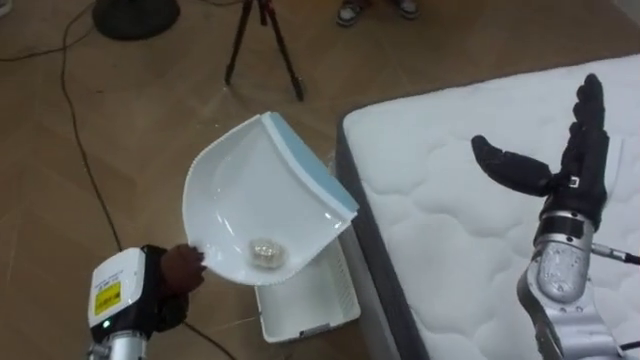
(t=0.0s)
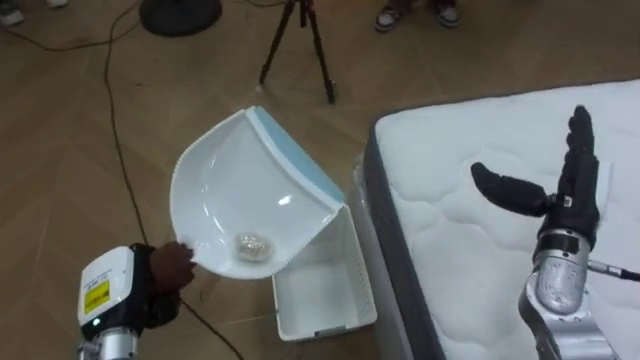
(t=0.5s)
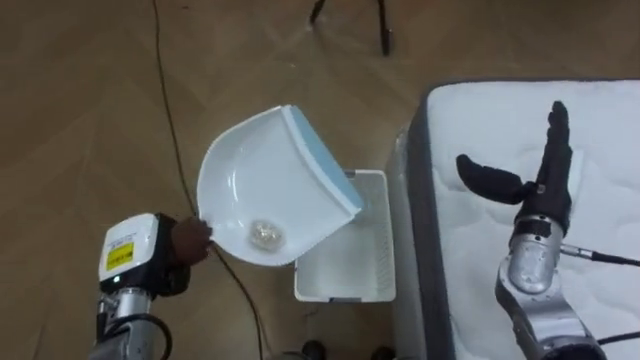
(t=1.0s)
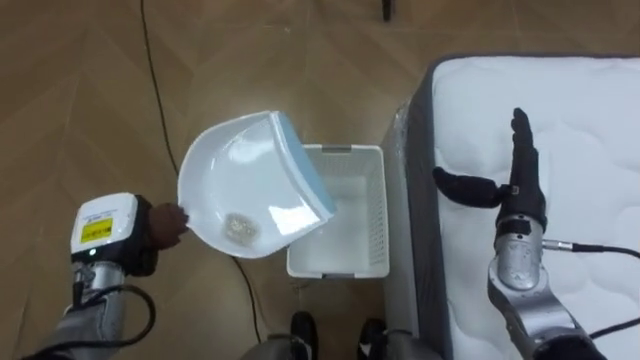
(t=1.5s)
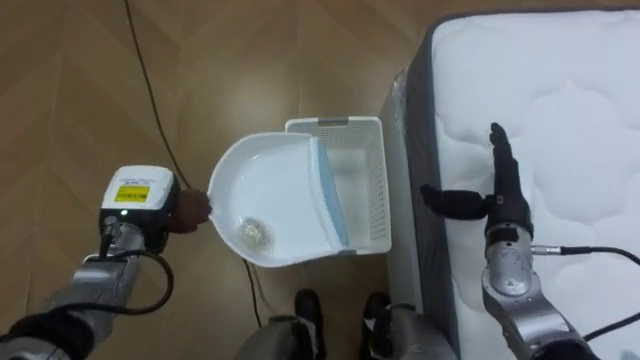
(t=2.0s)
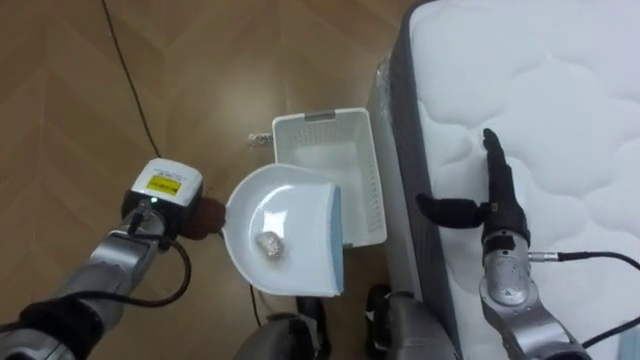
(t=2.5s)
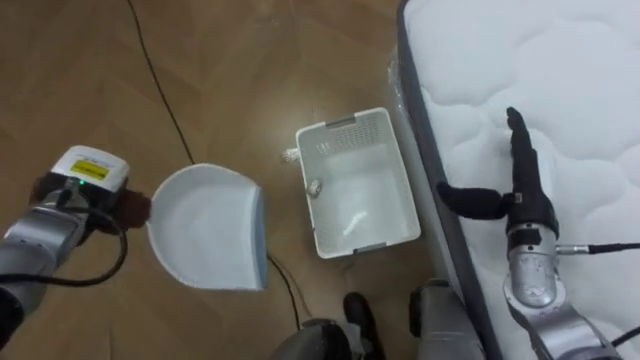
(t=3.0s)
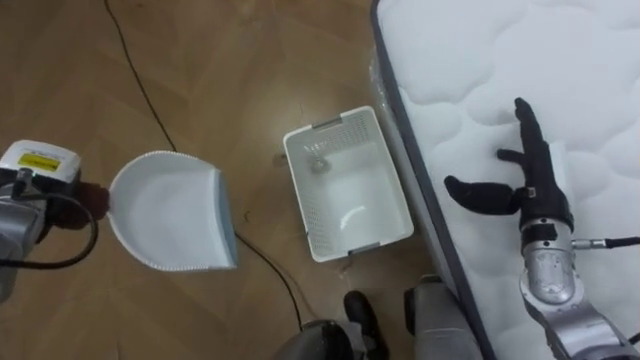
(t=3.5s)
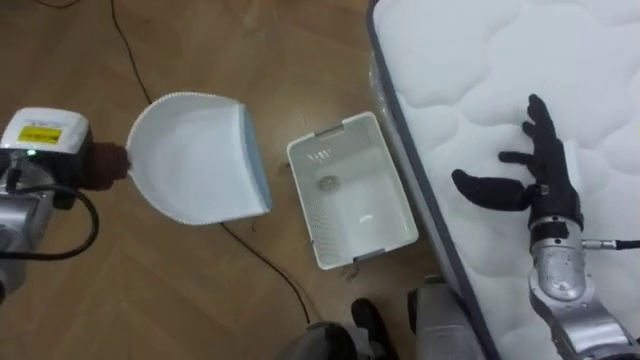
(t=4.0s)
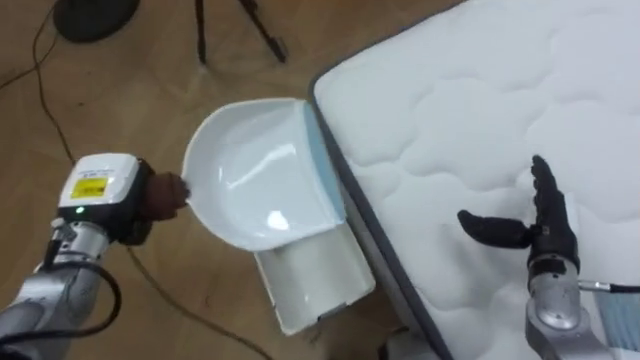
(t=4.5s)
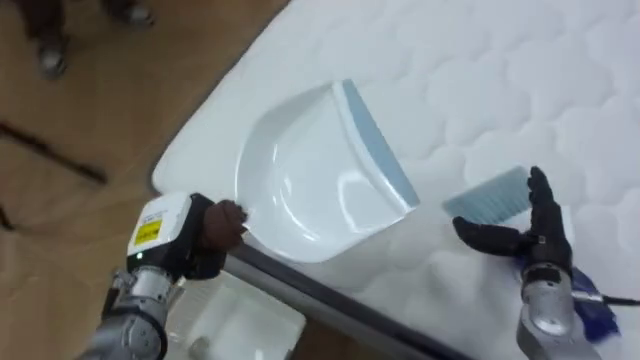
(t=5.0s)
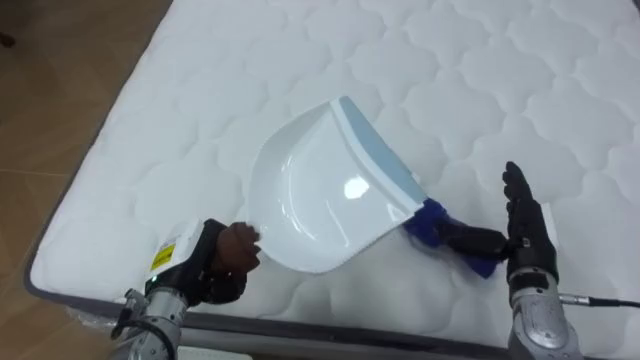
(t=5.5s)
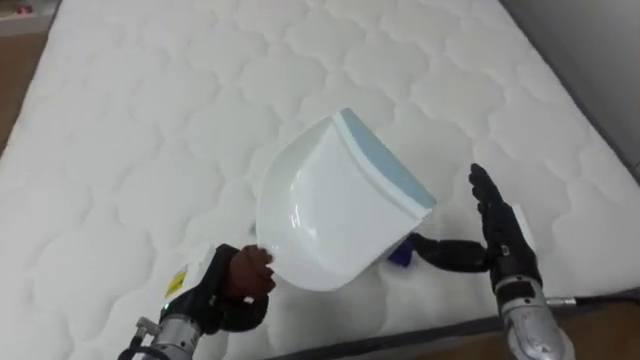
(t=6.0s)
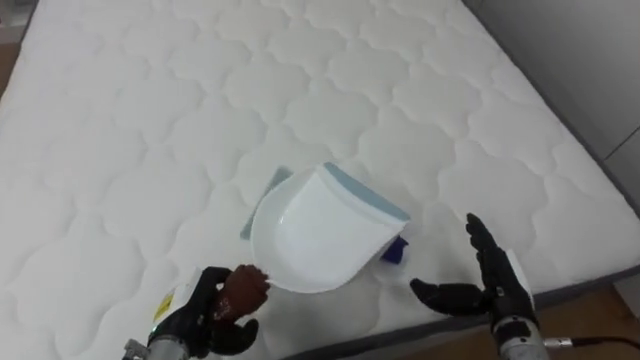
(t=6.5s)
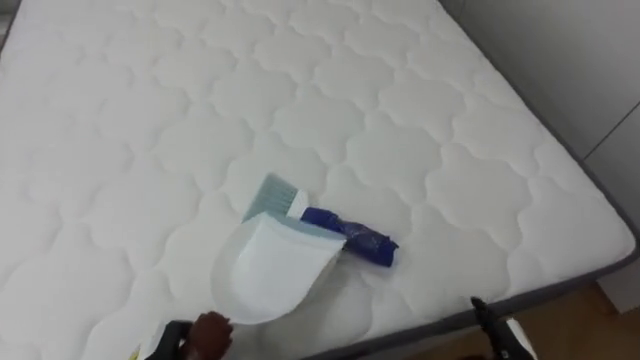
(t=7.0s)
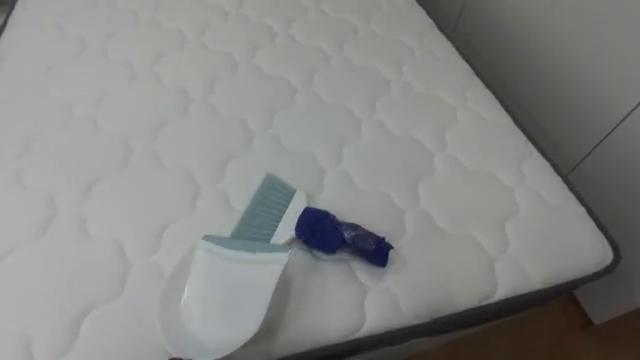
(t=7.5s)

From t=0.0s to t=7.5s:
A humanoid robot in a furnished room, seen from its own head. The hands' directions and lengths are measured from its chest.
Task of the whole recording: Pick up the brush on your right and the dustpan on your left. Use the brush to sweep the crumpled paper on the bed into the dustpan, then turn left and empty it into the basket.
From t=0.0s to t=2.0s: The left hand heads forward, covering some 10 cm; the right hand heads downward, covering about 5 cm.
From t=2.0s to t=4.0s: The left hand heads to the left and upward, covering some 10 cm, while the right hand ends up roughly 5 cm from where it was.
From t=4.0s to t=5.5s: The robot's body swings approximately 80 degrees to its right. The right hand travels downward by approximately 5 cm; the left hand travels to the right, downward and backward by approximately 20 cm.
From t=5.5s to t=7.5s: The robot rotates approximately 25 degrees to its right.

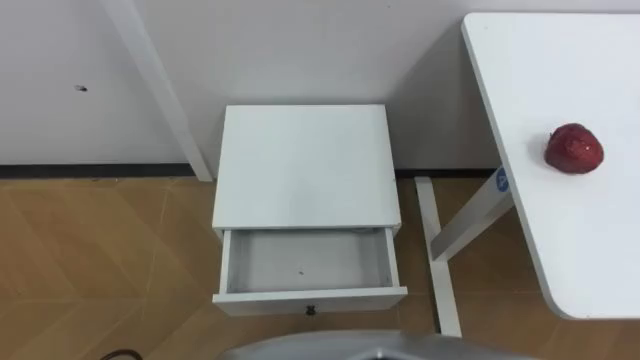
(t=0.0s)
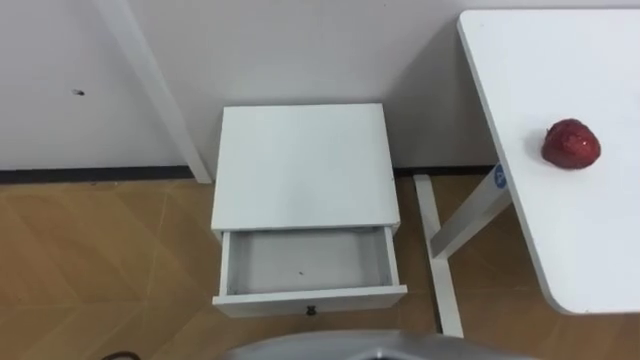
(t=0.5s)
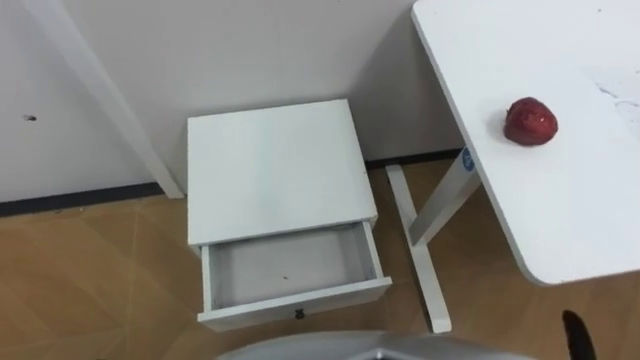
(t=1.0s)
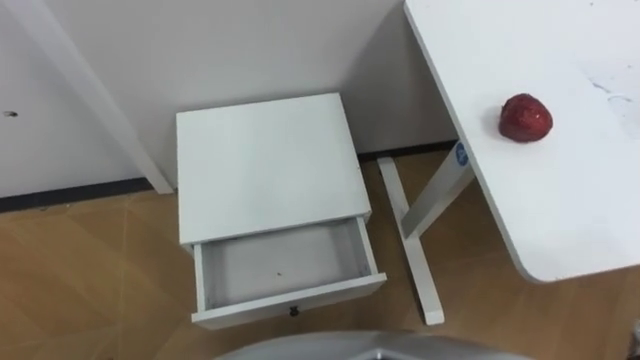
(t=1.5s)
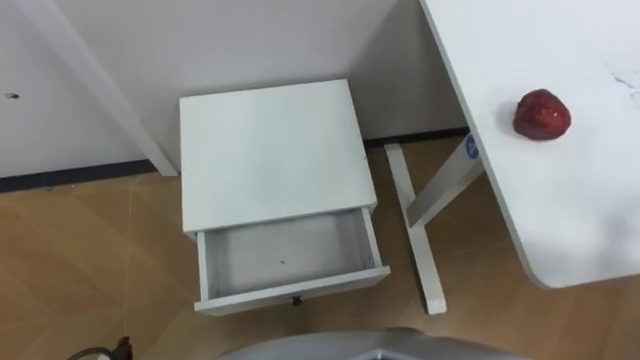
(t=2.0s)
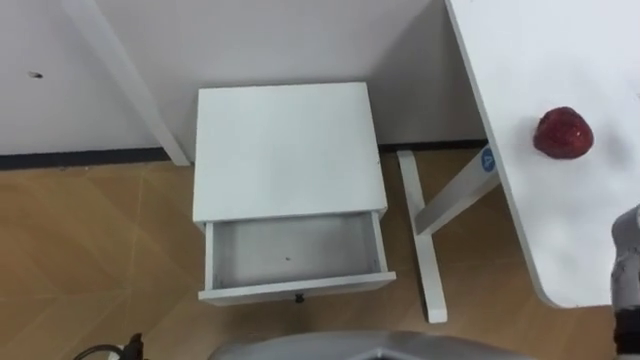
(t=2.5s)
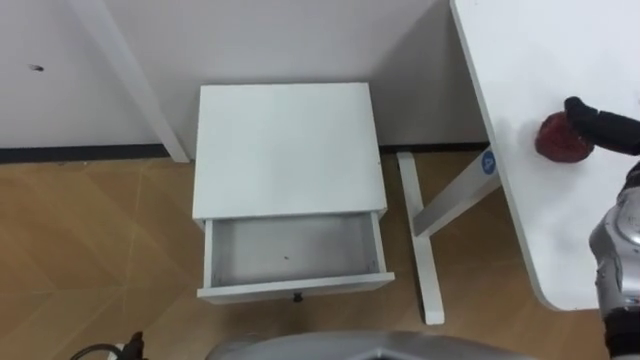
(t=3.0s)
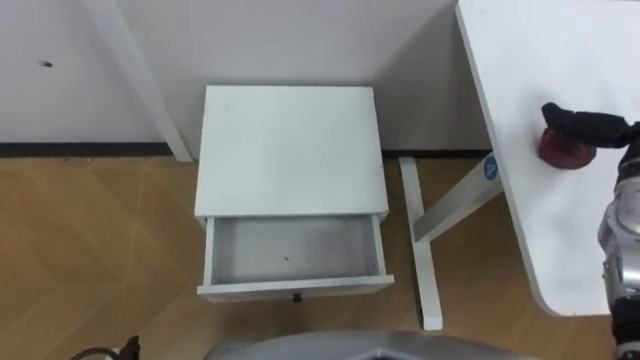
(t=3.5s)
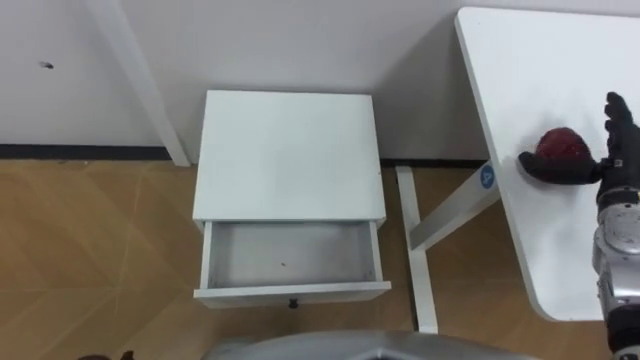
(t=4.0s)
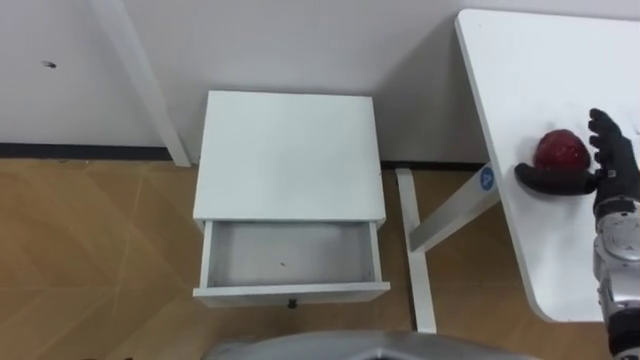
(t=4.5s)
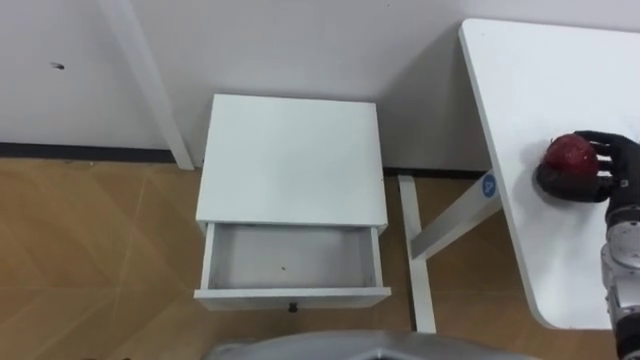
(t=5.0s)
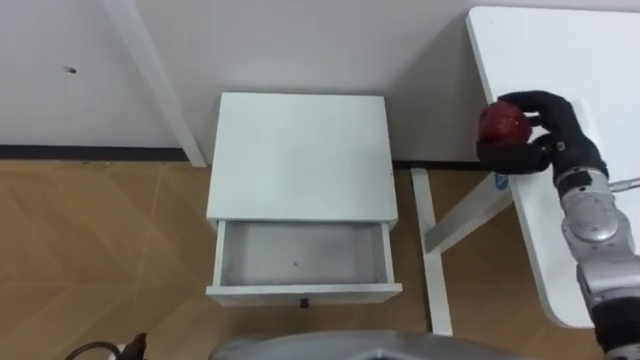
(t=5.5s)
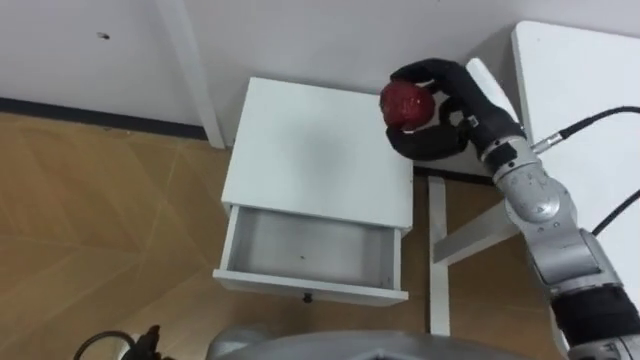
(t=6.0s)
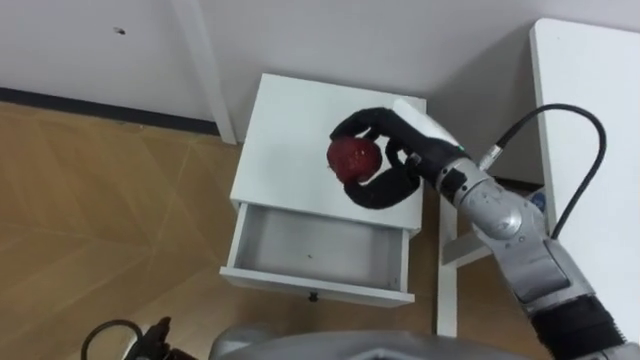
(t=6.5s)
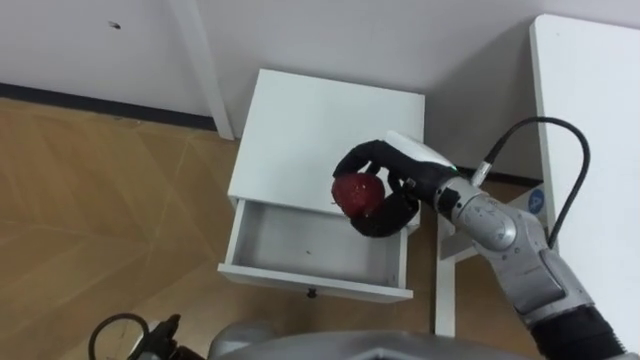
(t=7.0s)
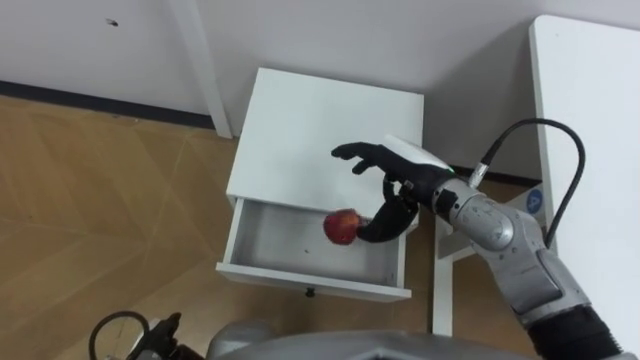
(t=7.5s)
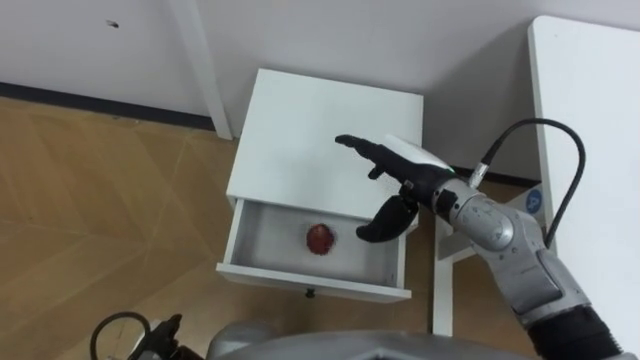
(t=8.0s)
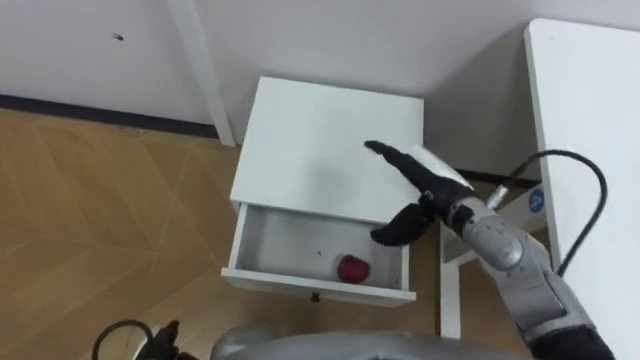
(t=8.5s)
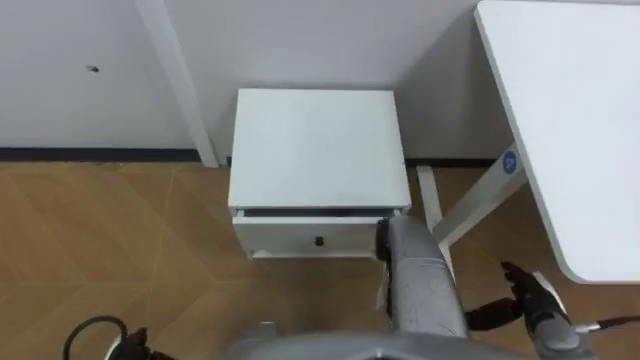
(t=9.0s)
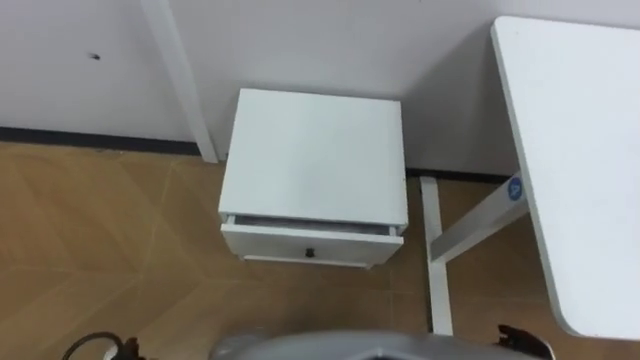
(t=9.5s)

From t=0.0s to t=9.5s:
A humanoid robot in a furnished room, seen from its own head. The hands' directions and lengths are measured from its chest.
Task of the whole recording: Pick up the apple from the table, put it in the drawer, and close the drawer with leg.
From t=4.0s to t=5.5s: The right hand moves to the left, roughly 5 cm, and closes its fingers.
From t=5.5s to t=7.5s: The right hand goes roughly 20 cm to the left.
From t=7.5s to t=9.5s: The right hand goes some 35 cm backward, downward and to the right.

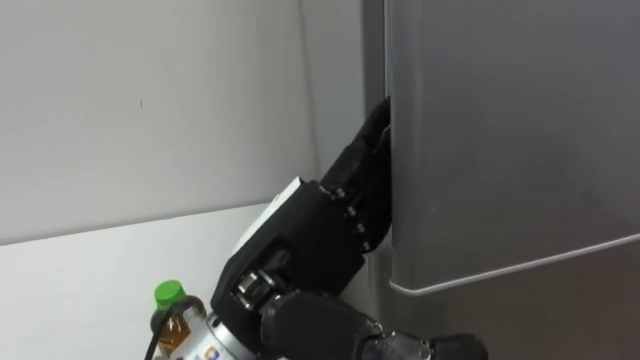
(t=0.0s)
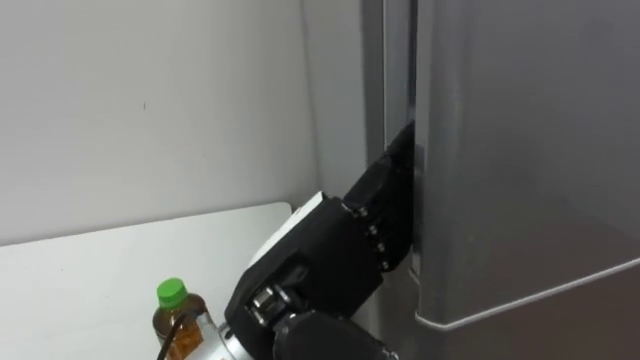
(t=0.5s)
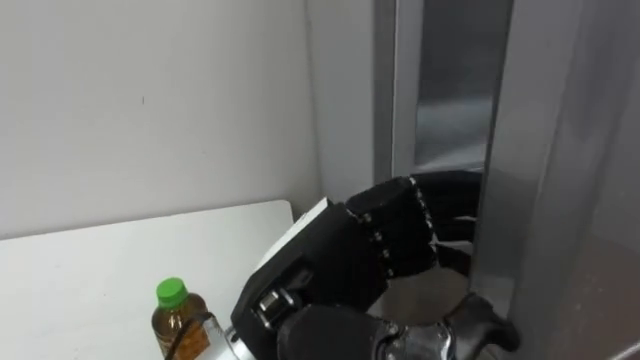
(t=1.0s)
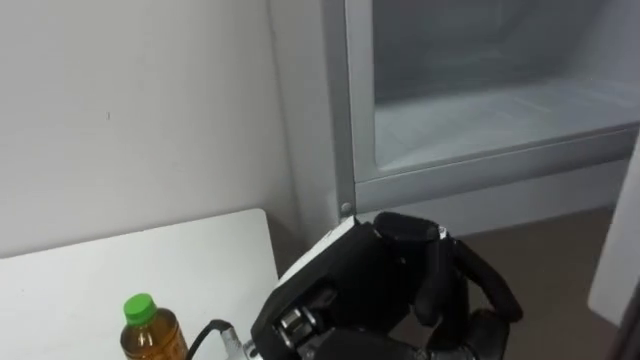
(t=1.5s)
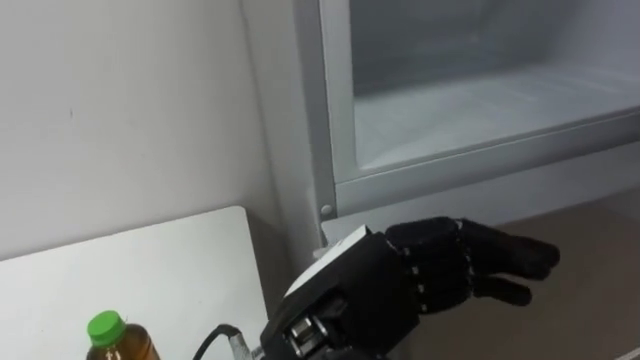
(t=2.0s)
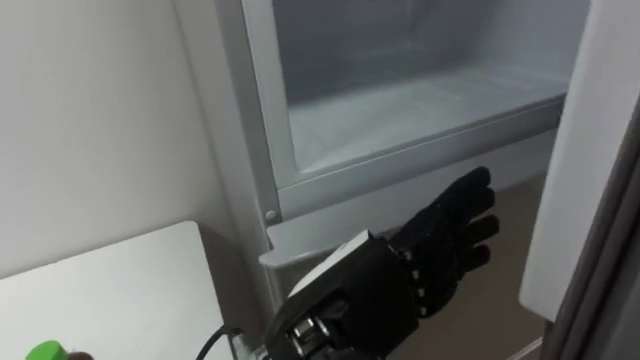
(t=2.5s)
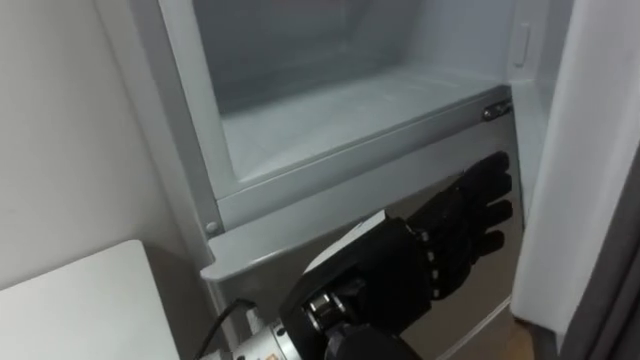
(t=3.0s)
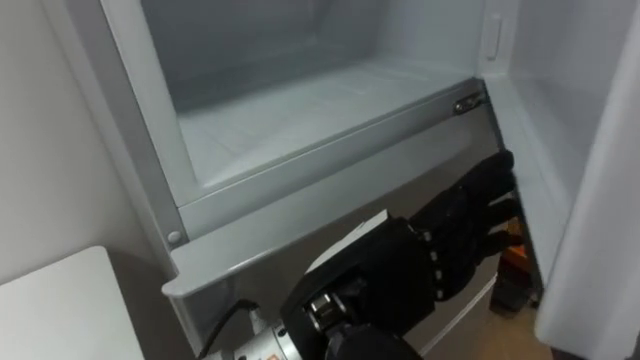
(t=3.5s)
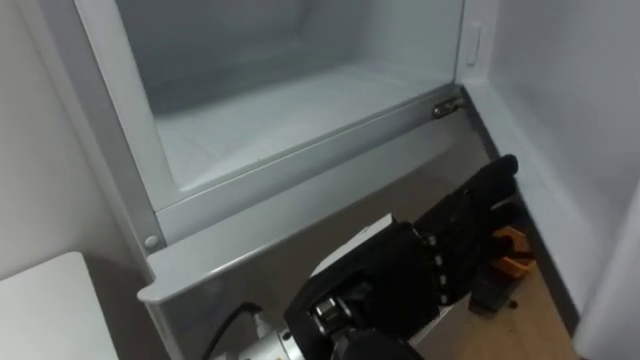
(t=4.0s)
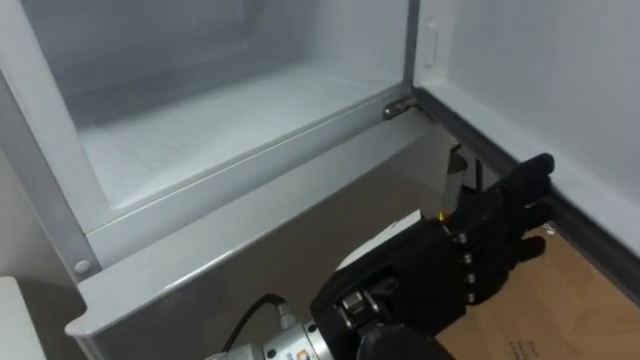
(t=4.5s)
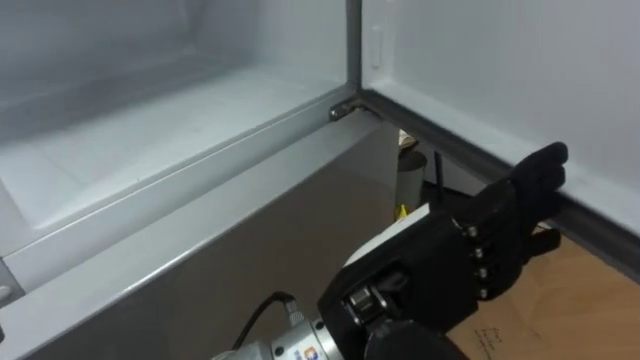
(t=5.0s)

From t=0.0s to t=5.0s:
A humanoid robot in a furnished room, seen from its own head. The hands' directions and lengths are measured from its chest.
Task of the whole recording: Open the upper refrigerator door, put the drink from the table into the refrigerator, and then close the refrigerator door.
From t=0.0s to t=2.5s: The left hand changes place by approximately 5 cm, and closes, then opens again.
From t=2.5s to t=5.0s: The robot turns to its right by about 20 degrees.
